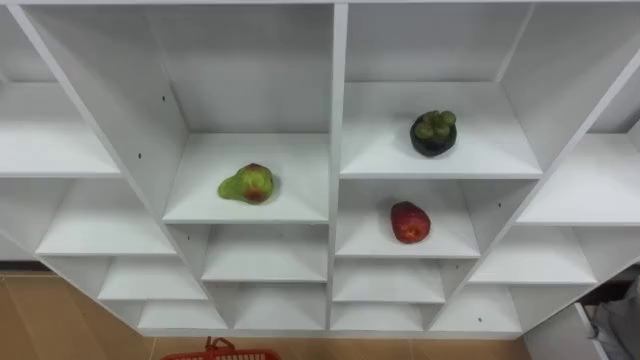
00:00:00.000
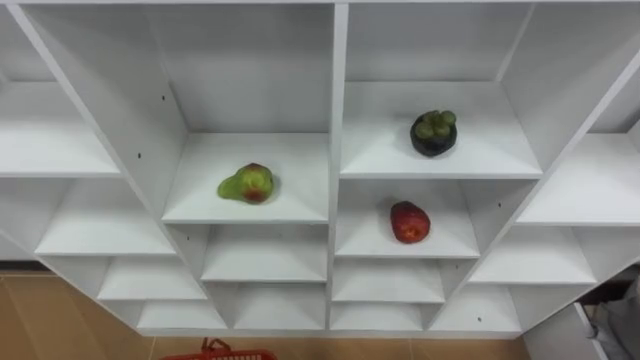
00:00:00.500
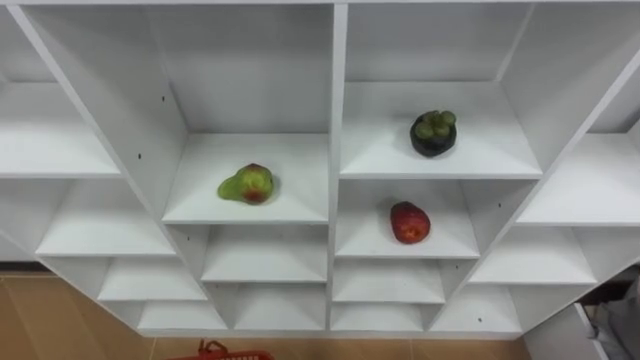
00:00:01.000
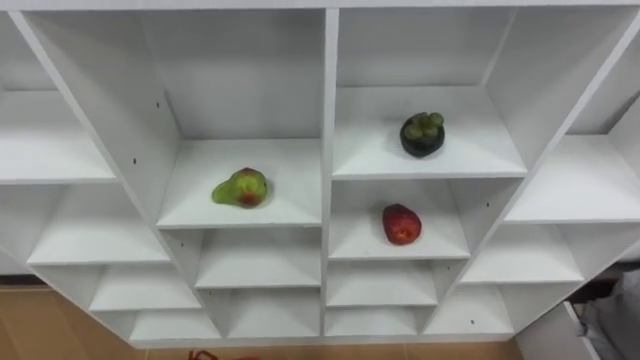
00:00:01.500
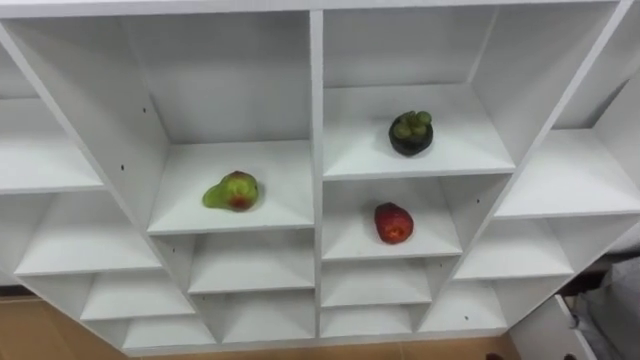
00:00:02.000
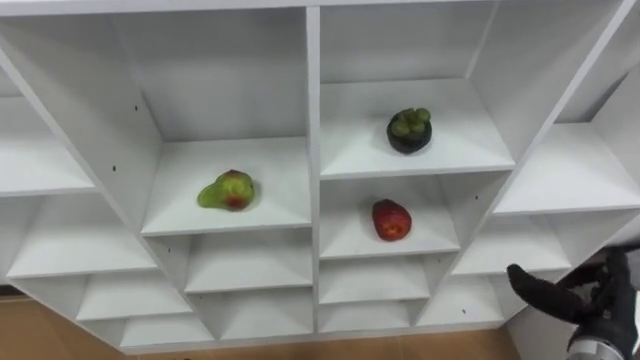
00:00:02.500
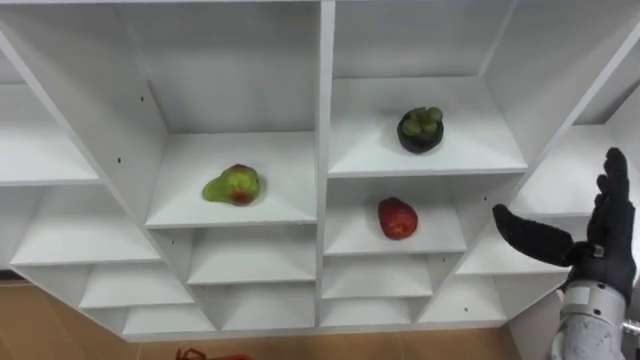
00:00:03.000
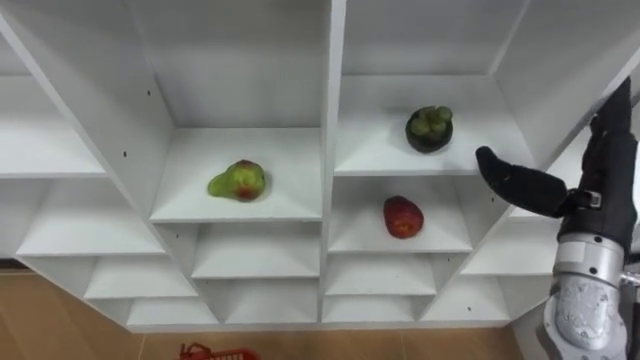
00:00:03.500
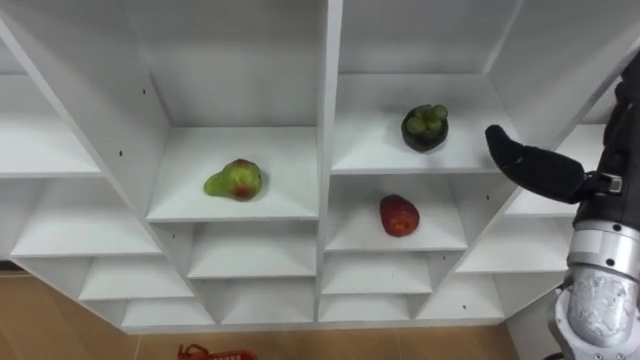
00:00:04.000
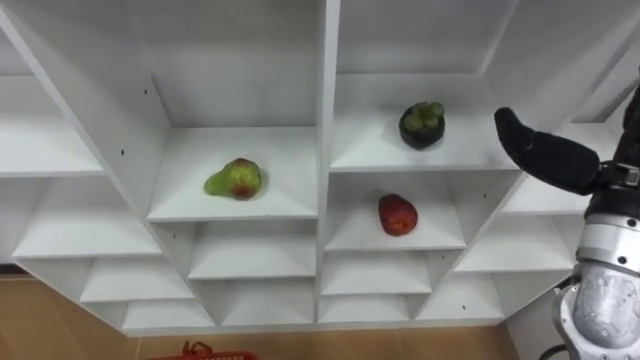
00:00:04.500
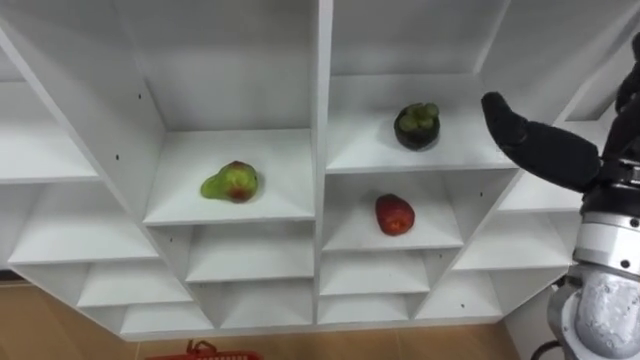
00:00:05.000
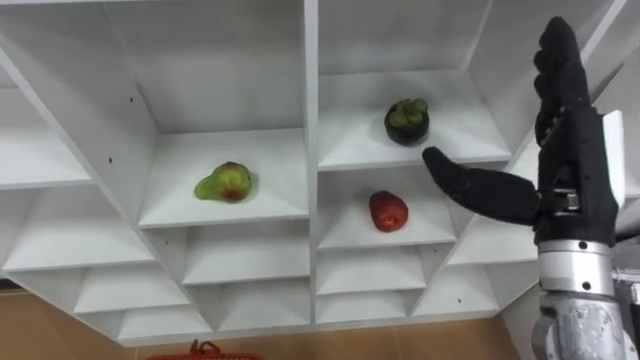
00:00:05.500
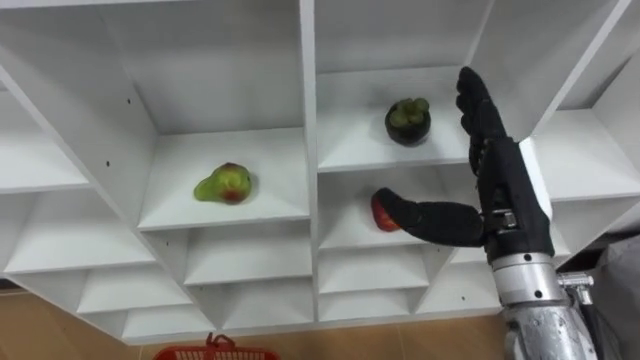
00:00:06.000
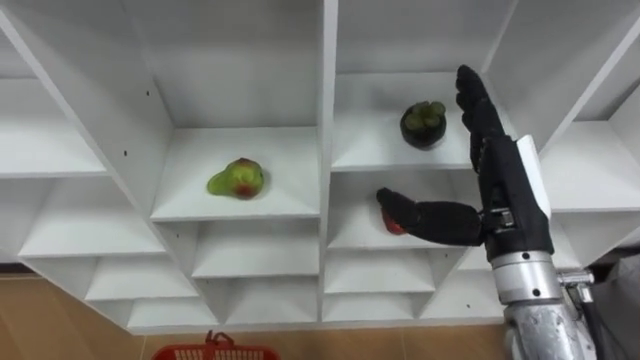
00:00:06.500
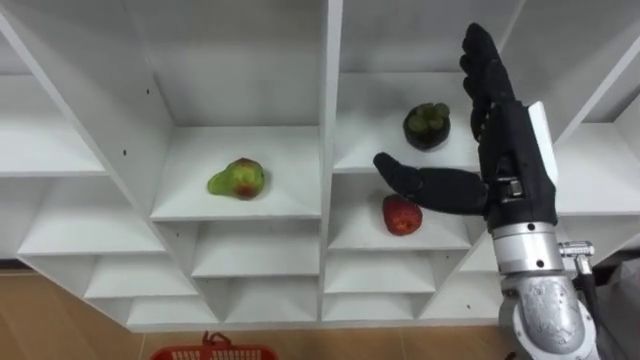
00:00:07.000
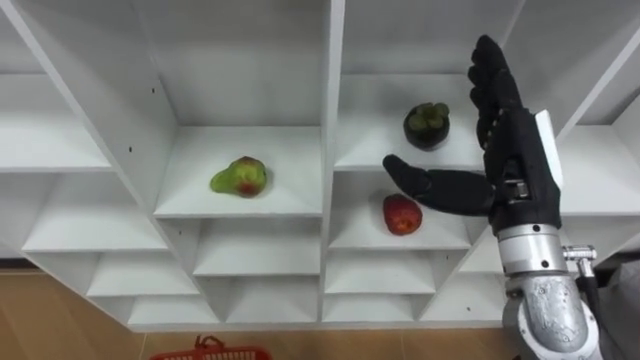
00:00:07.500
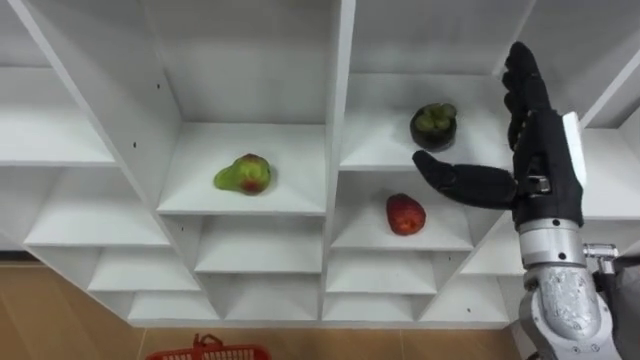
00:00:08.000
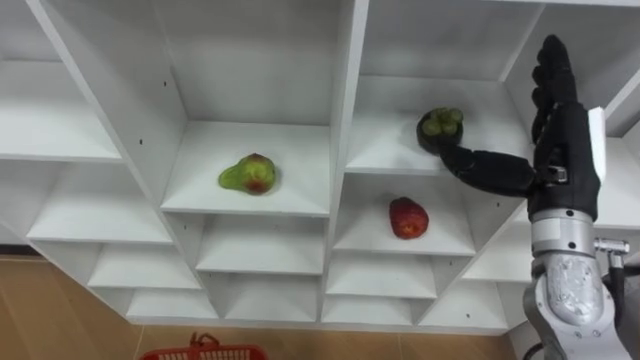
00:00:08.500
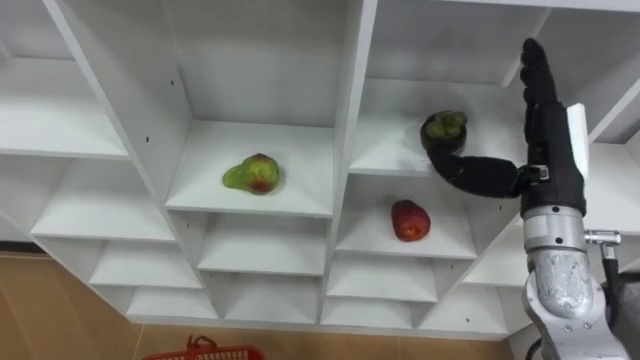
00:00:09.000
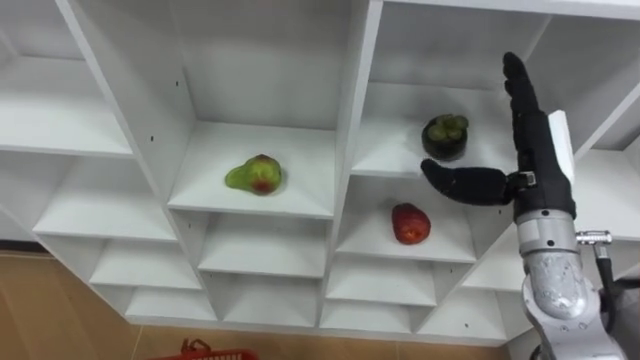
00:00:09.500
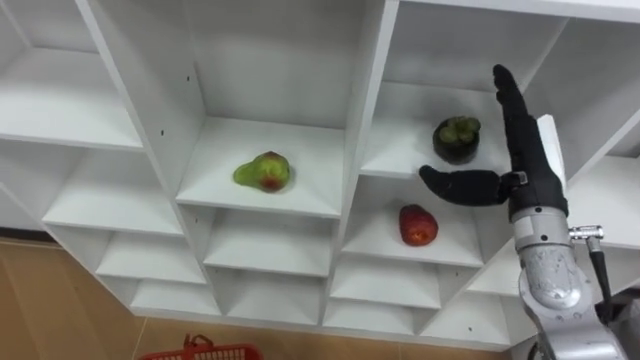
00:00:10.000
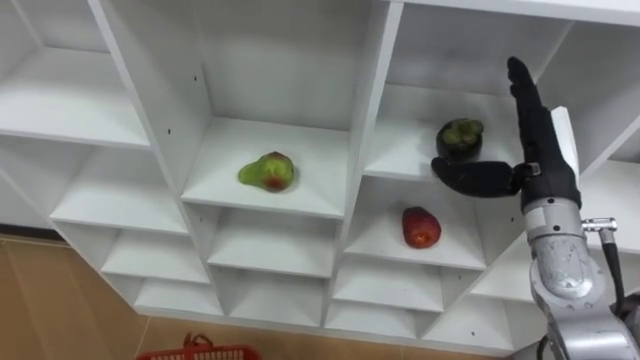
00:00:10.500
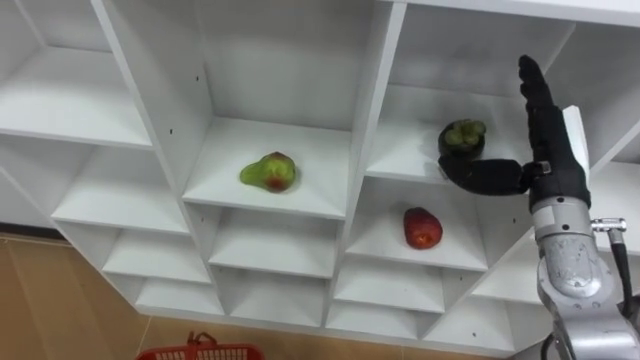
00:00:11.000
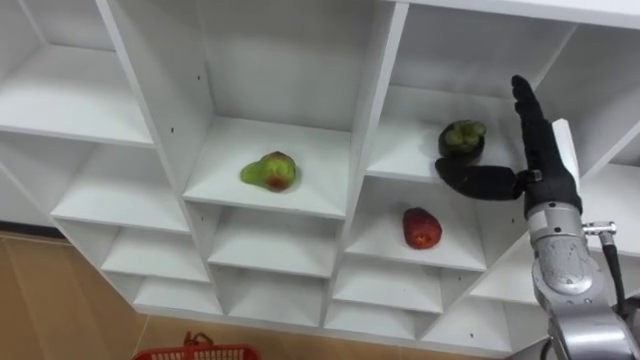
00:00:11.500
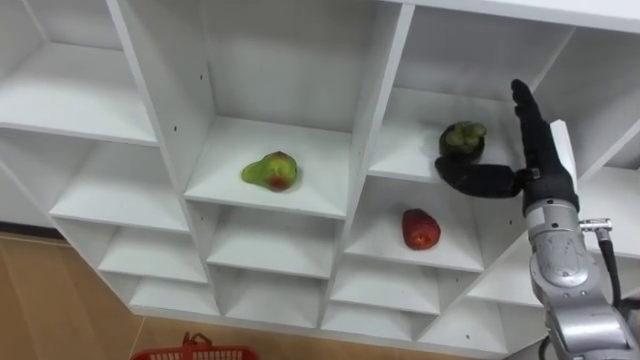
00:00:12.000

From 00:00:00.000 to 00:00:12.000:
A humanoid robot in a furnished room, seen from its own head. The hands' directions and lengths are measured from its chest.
Task of the whole recording: Hold the basket and collect the fruits from 3 different cells of the closet into it.
From 00:00:04.000 to 00:00:06.000: The right hand heads to the left, covering some 10 cm.

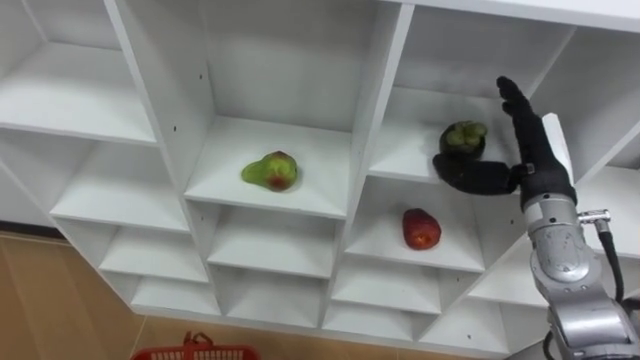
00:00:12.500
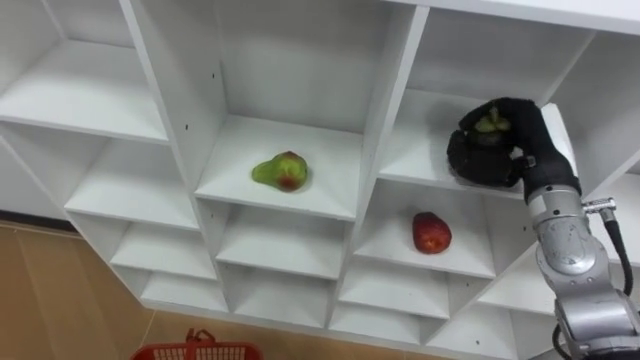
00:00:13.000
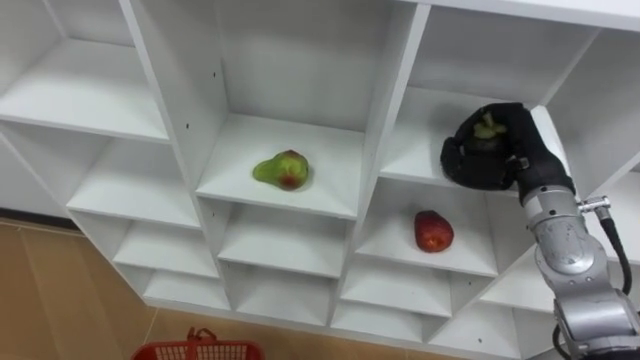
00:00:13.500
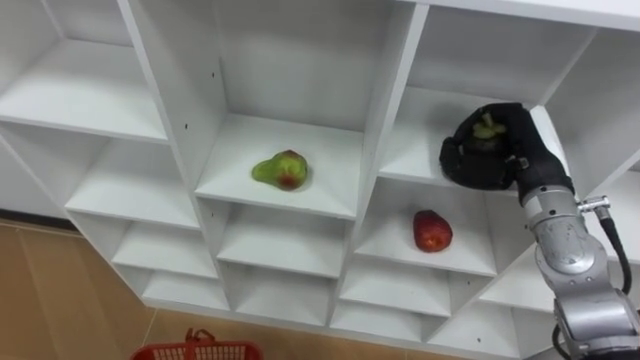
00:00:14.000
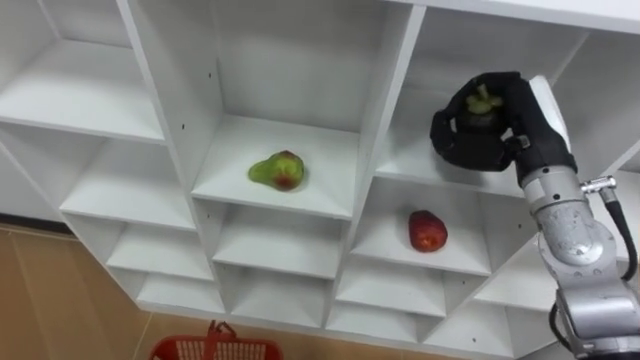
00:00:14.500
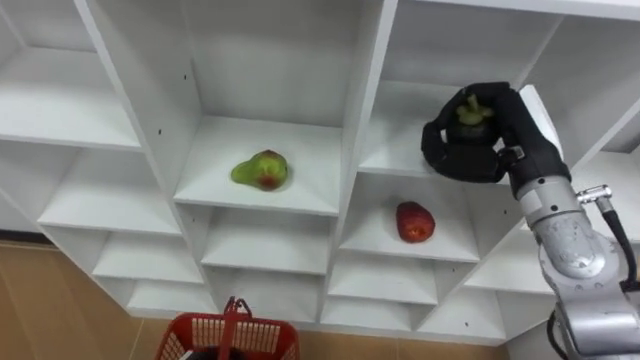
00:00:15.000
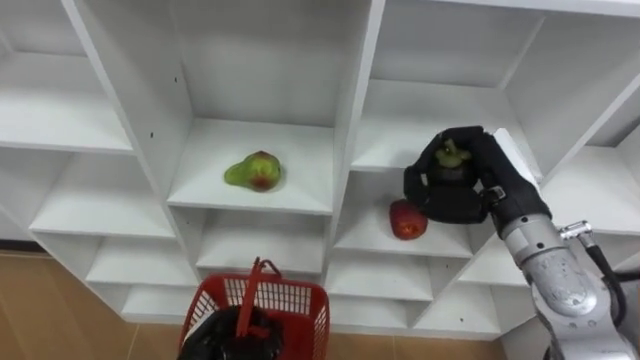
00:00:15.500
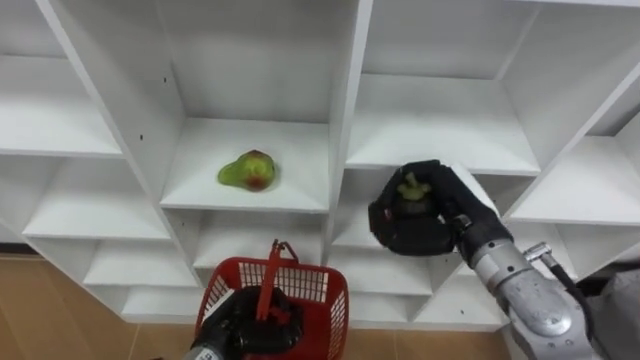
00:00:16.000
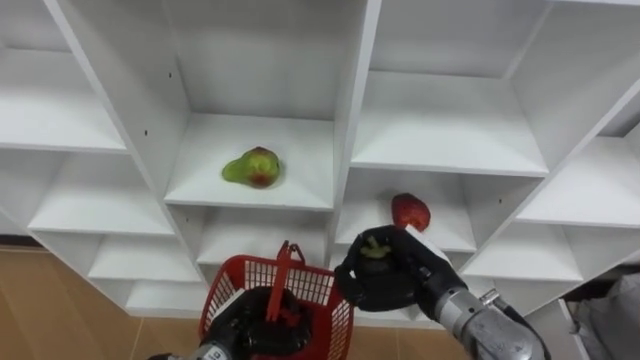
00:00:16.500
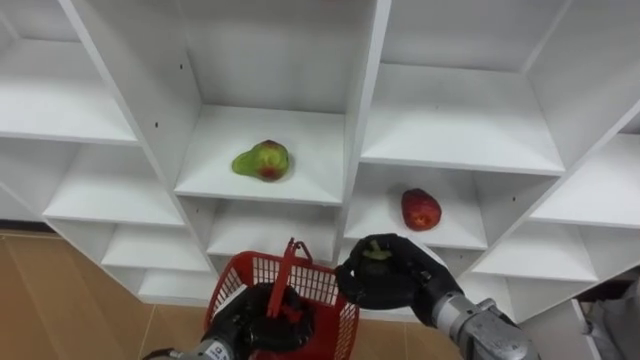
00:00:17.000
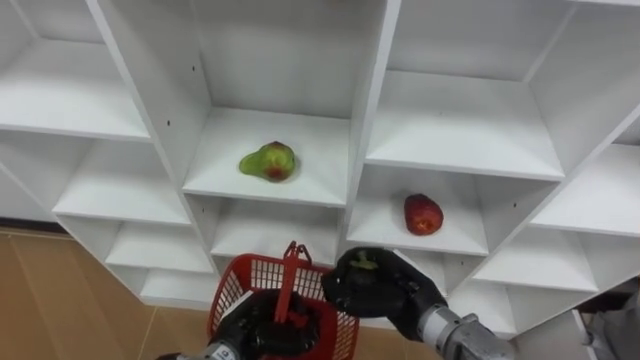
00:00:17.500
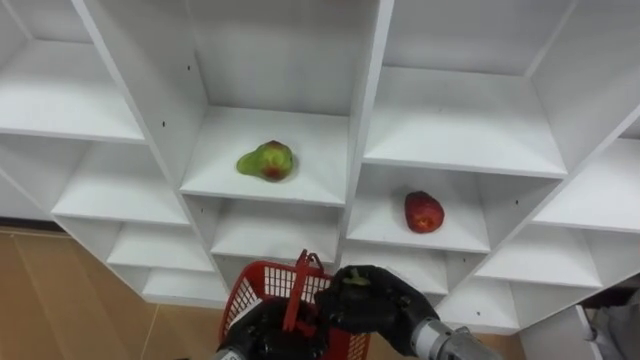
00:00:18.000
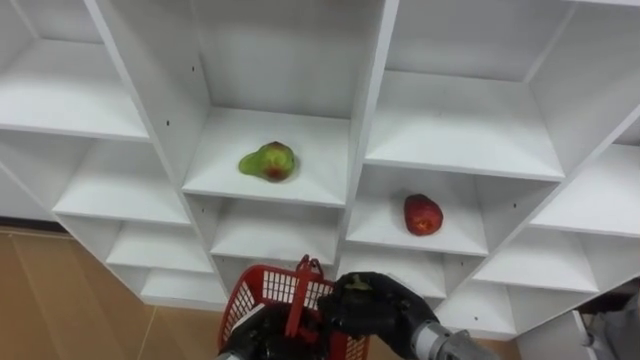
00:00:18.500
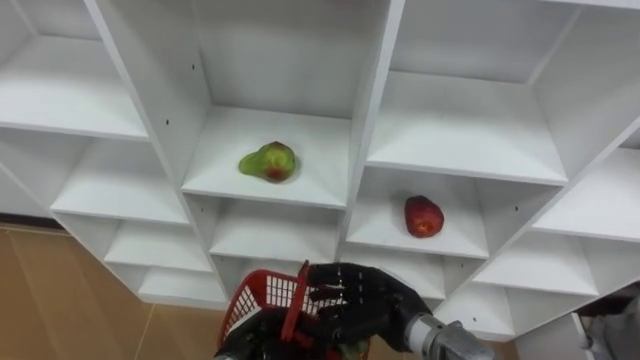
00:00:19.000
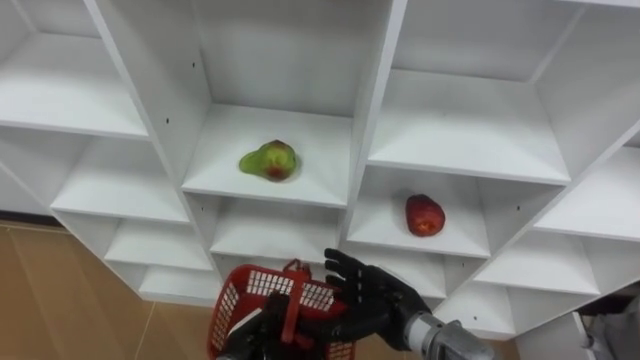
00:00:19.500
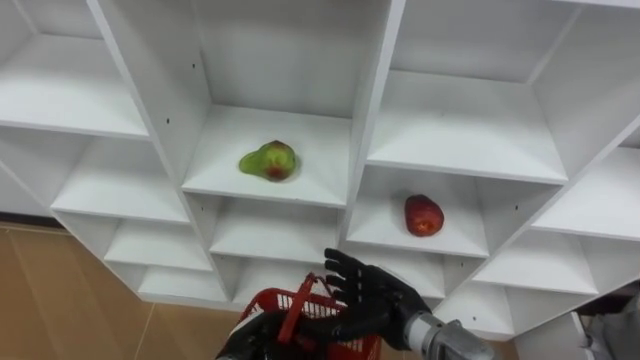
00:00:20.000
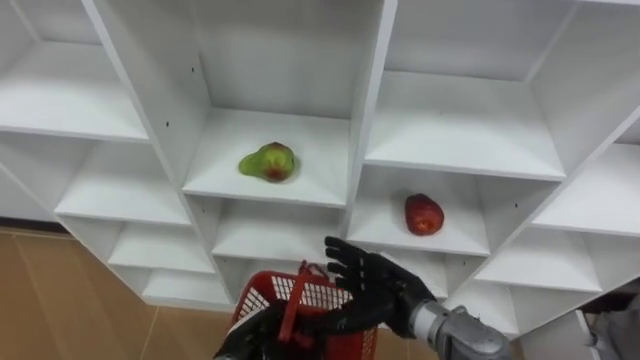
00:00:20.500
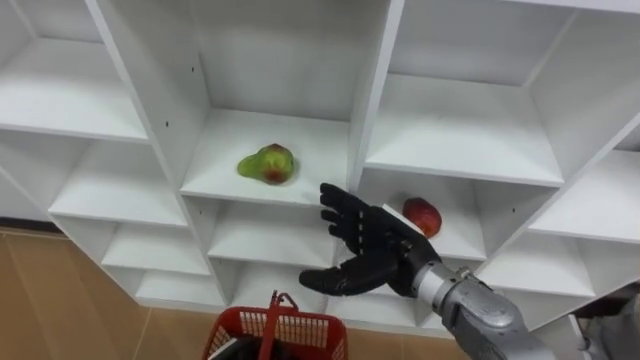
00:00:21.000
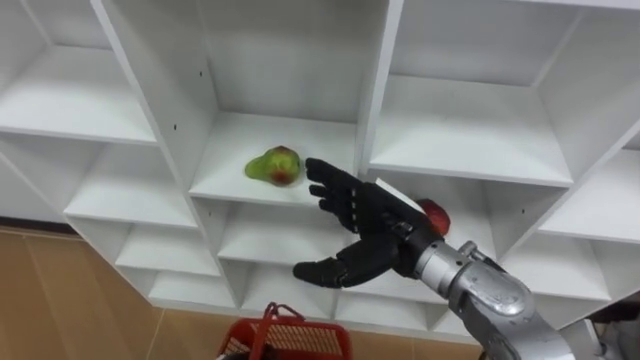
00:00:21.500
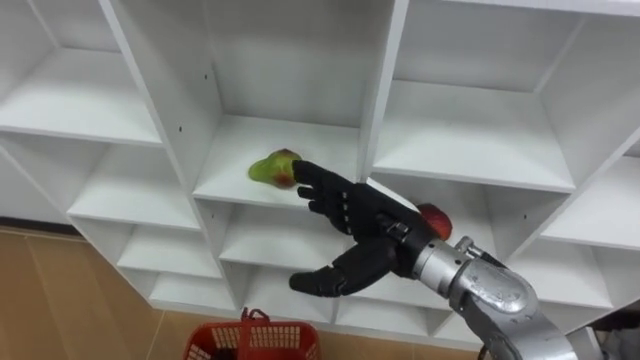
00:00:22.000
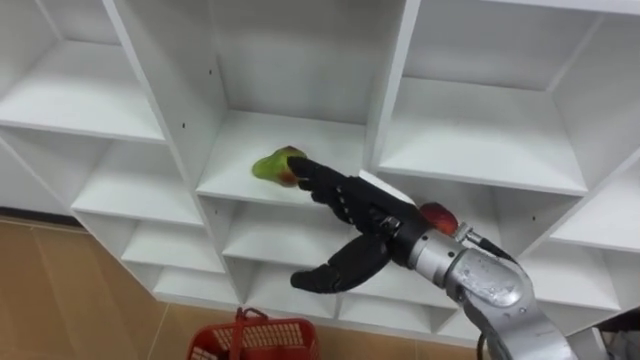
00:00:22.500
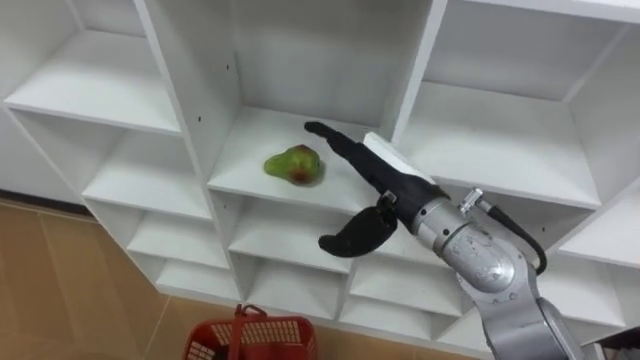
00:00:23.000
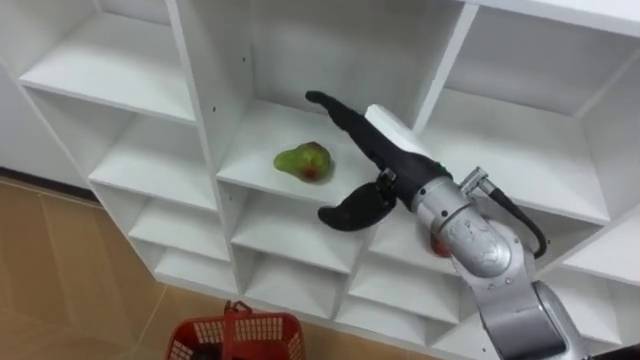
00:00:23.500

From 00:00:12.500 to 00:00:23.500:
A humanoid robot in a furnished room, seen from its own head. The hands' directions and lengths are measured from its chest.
Task of the whole recording: Hold the basket and collect the fruits from 3 different cells of the closet into it.
From 00:00:12.500 to 00:00:14.500: The right hand moves approximately 5 cm, and closes up.
From 00:00:14.500 to 00:00:16.000: The right hand heads downward, to the left and backward, covering roughly 10 cm.
From 00:00:16.000 to 00:00:18.000: The right hand goes about 15 cm downward, to the left and backward.
From 00:00:18.000 to 00:00:20.000: The right hand opens up.
From 00:00:20.000 to 00:00:21.500: The right hand goes roughly 15 cm upward.
From 00:00:21.500 to 00:00:23.500: The right hand shifts roughly 10 cm upward.
